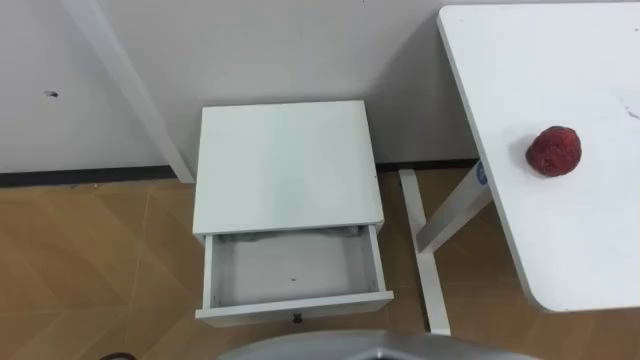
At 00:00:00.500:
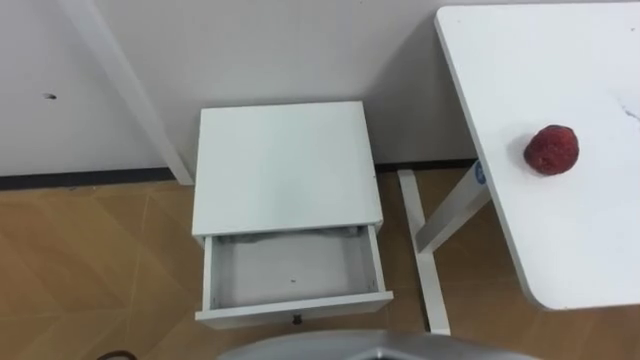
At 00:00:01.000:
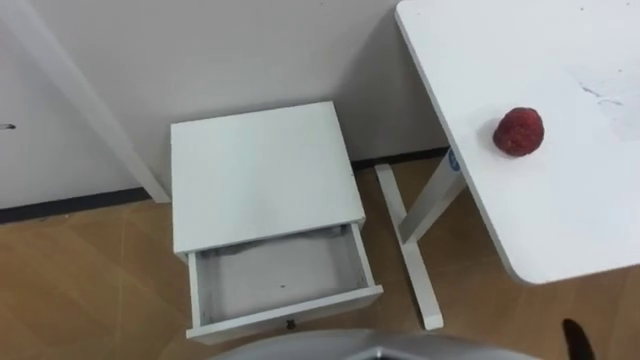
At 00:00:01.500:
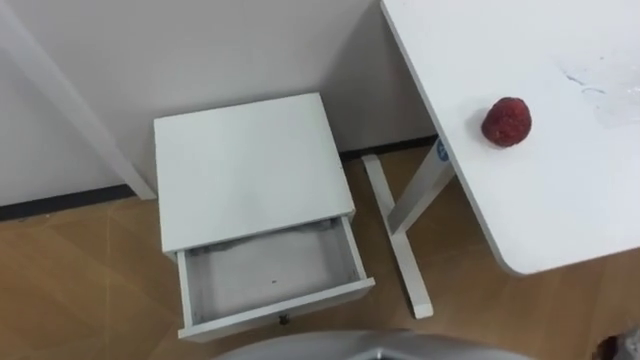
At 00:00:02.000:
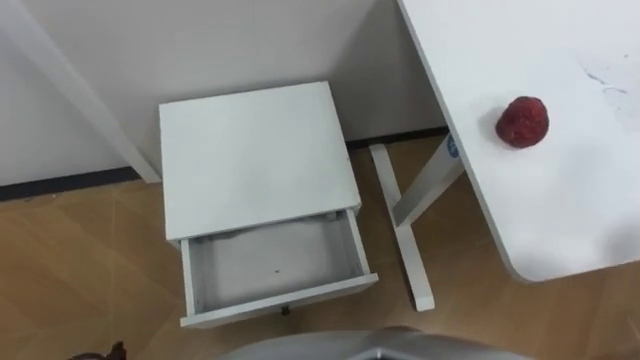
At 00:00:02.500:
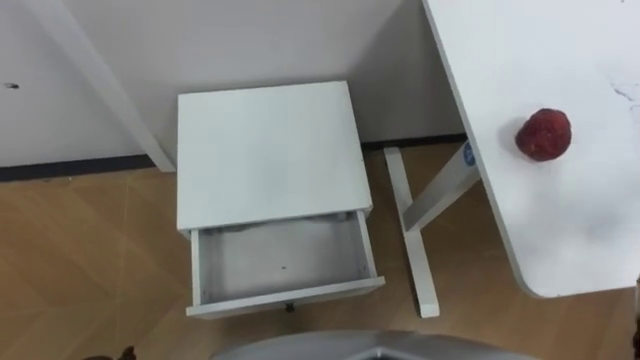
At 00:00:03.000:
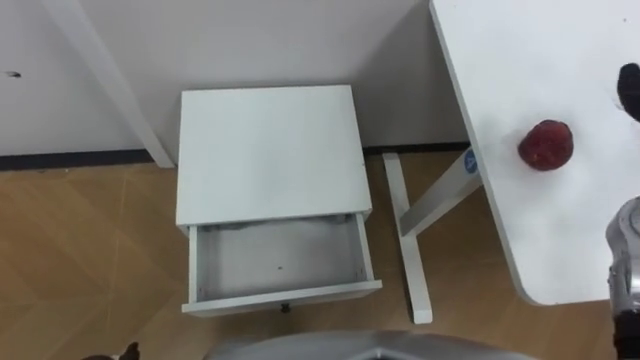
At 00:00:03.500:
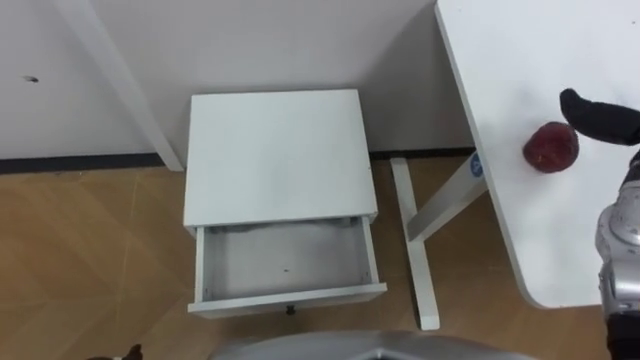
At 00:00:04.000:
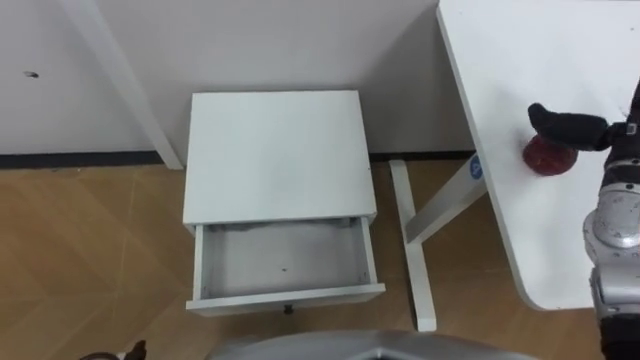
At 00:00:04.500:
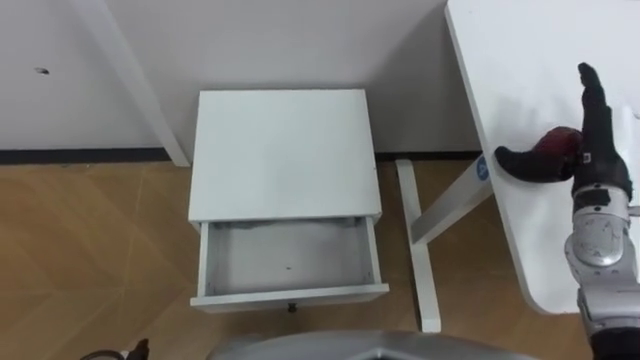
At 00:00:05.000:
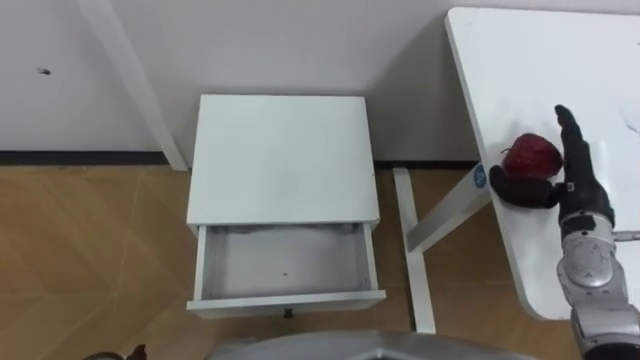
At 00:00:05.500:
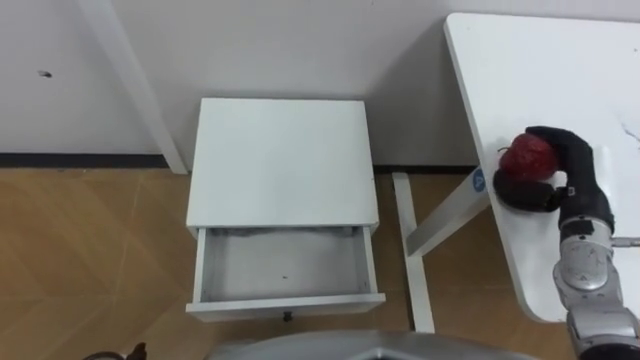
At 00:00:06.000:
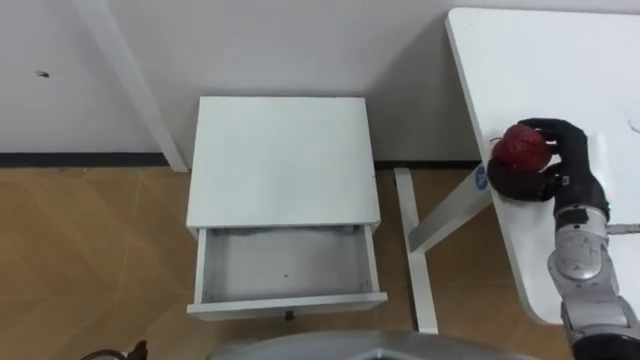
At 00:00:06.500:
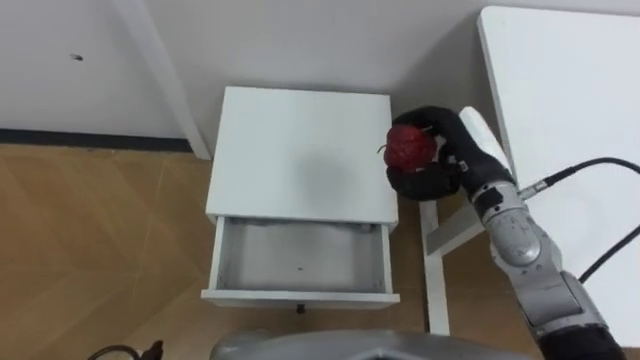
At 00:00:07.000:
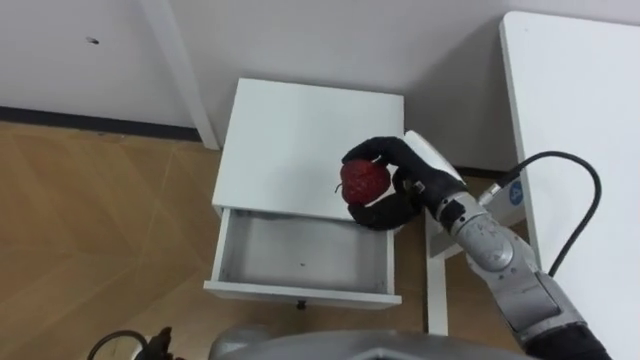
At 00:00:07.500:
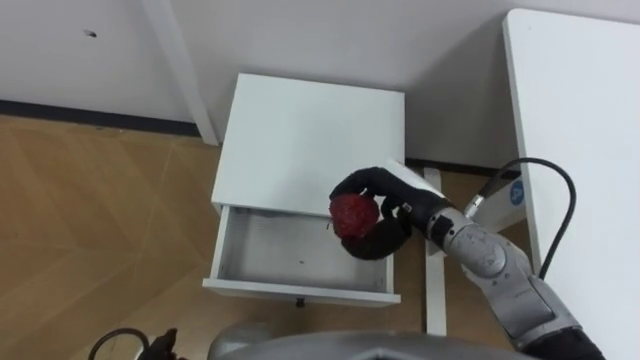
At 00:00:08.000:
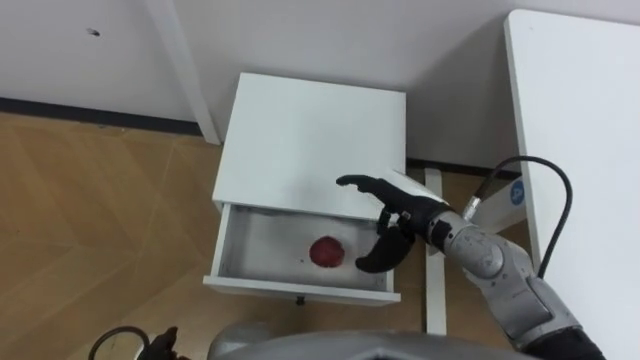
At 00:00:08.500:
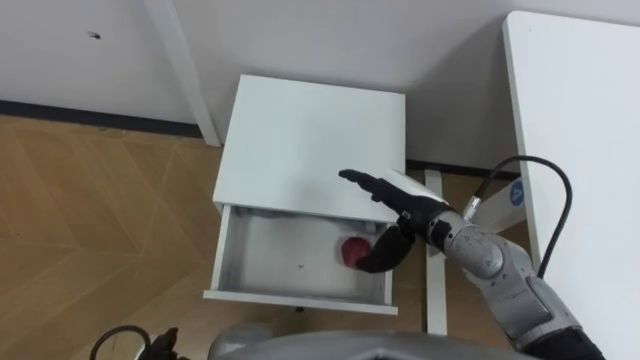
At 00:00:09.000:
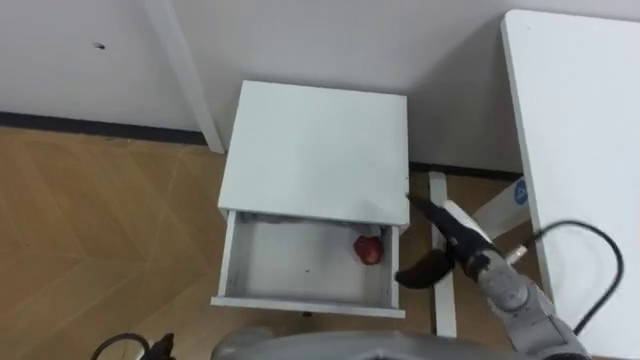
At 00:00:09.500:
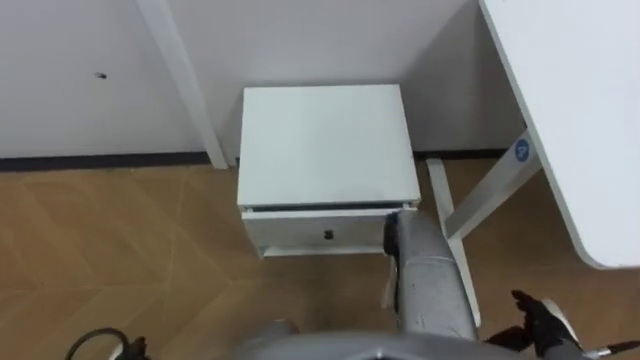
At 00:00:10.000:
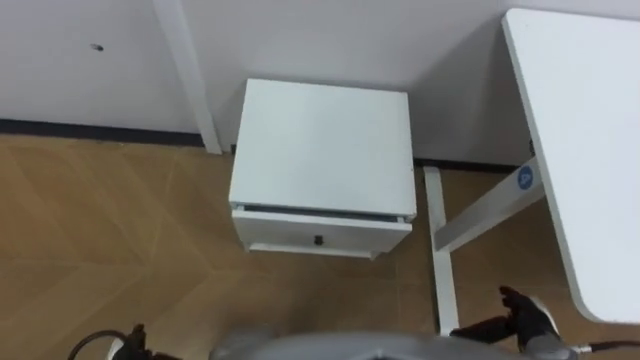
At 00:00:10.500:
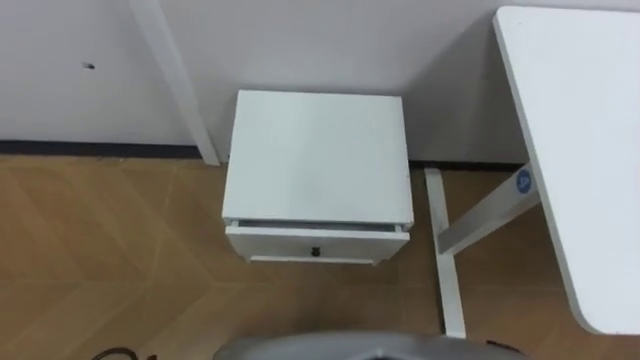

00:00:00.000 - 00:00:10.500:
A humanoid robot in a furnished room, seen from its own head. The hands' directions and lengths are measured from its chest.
Task of the whole recording: Pick up the apple from the table, put it in the drawer, and close the drawer with leg.
00:00:04.000 - 00:00:06.500: The right hand goes approximately 15 cm to the left, and closes.
00:00:06.500 - 00:00:08.500: The right hand shifts about 10 cm to the left and downward, and opens up.

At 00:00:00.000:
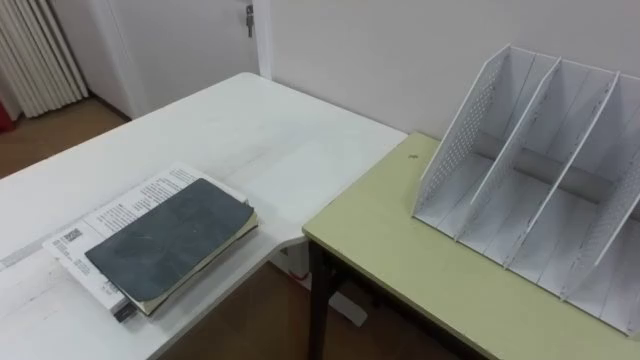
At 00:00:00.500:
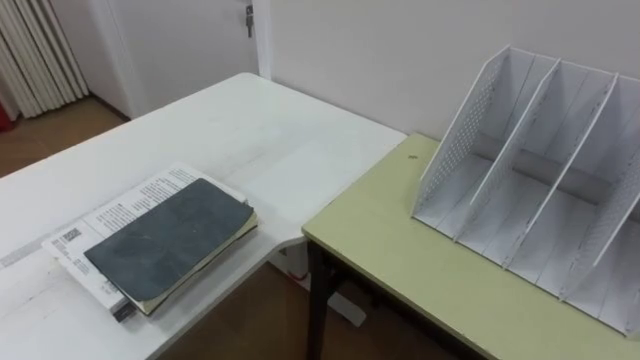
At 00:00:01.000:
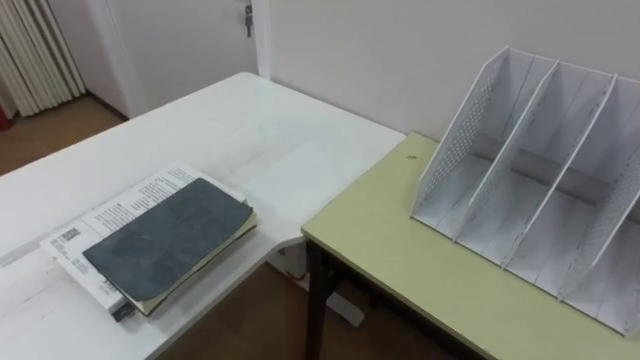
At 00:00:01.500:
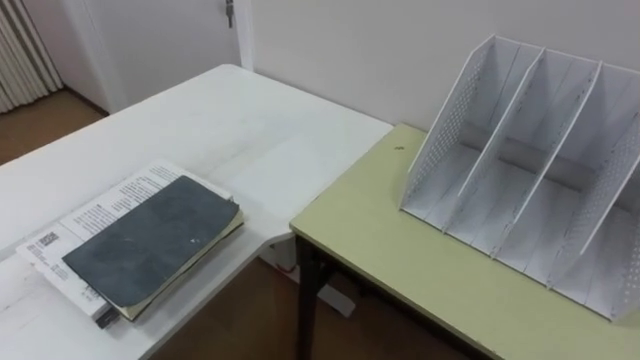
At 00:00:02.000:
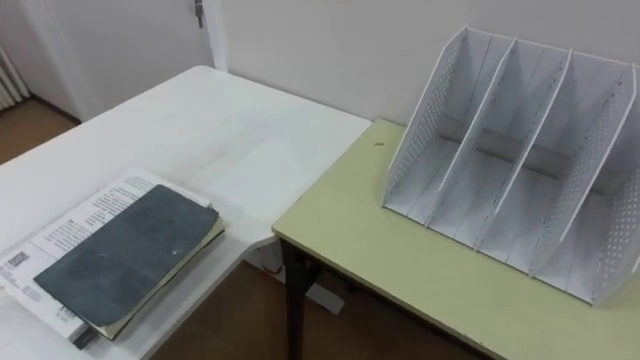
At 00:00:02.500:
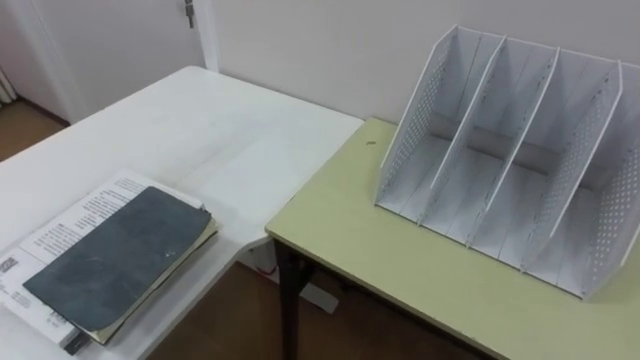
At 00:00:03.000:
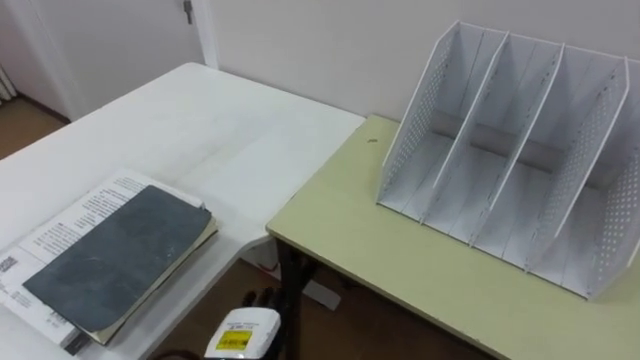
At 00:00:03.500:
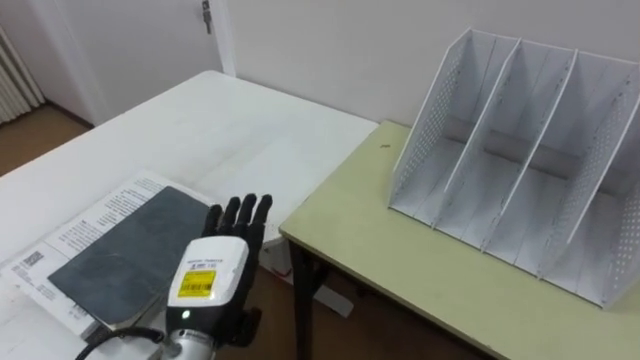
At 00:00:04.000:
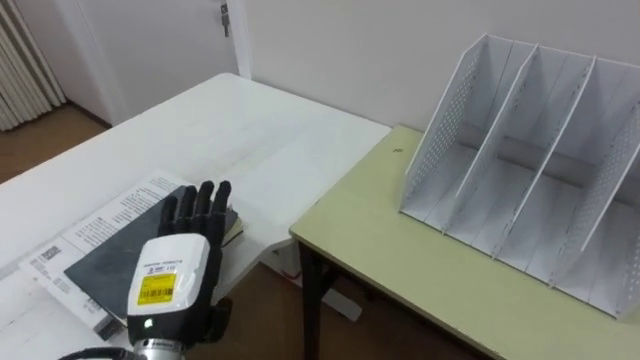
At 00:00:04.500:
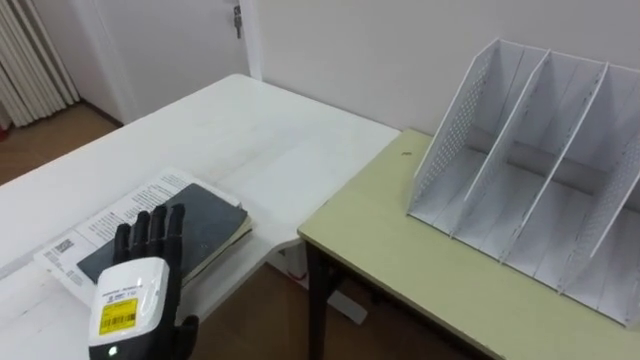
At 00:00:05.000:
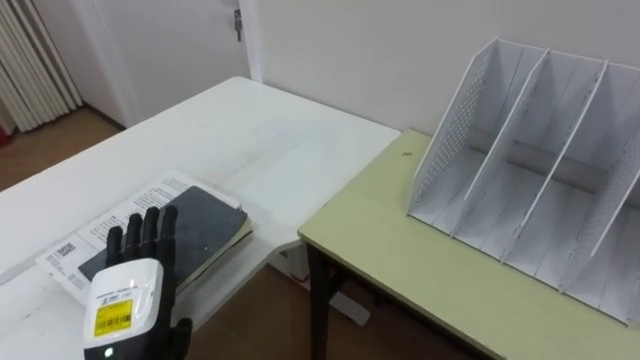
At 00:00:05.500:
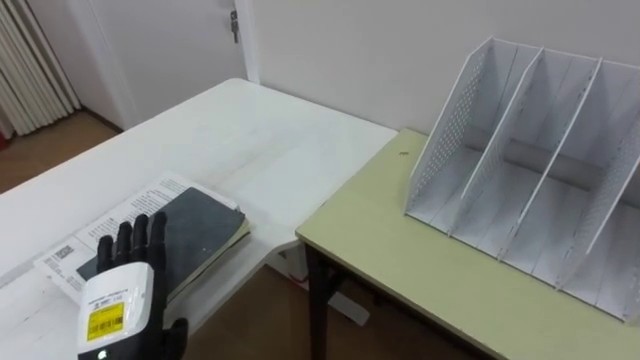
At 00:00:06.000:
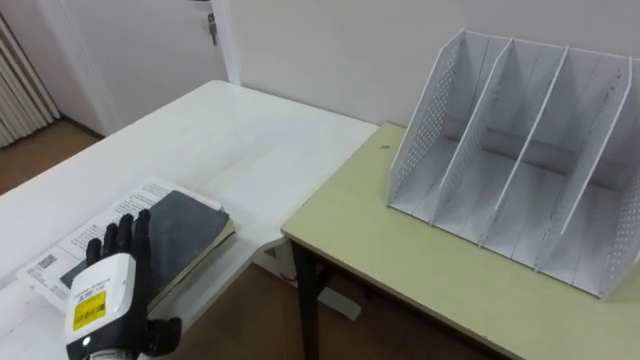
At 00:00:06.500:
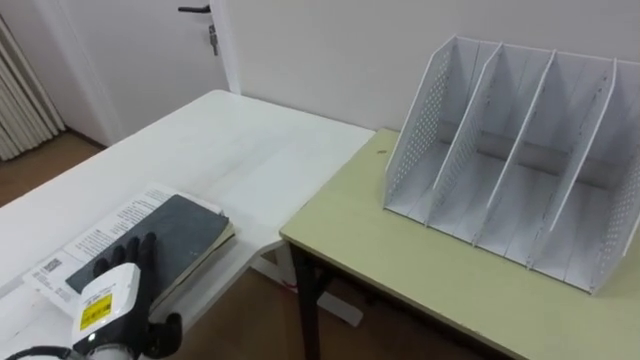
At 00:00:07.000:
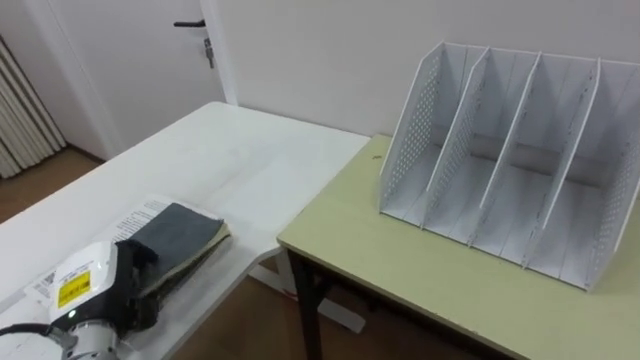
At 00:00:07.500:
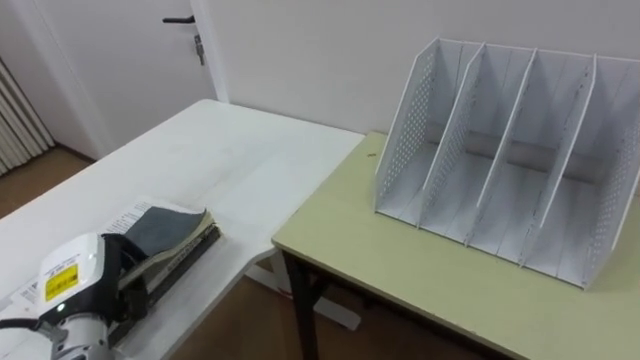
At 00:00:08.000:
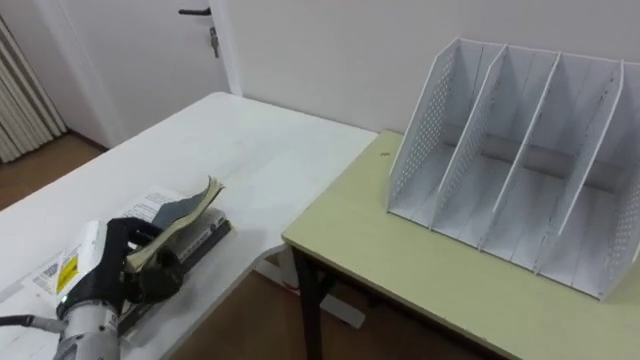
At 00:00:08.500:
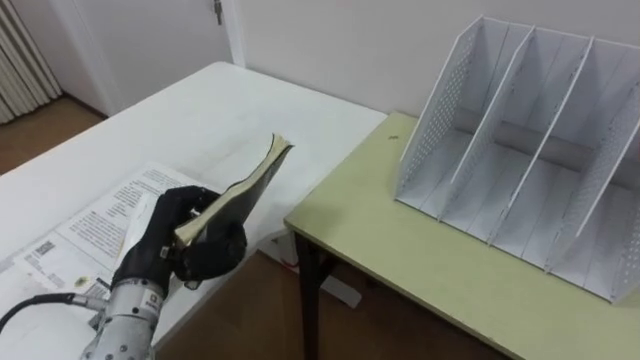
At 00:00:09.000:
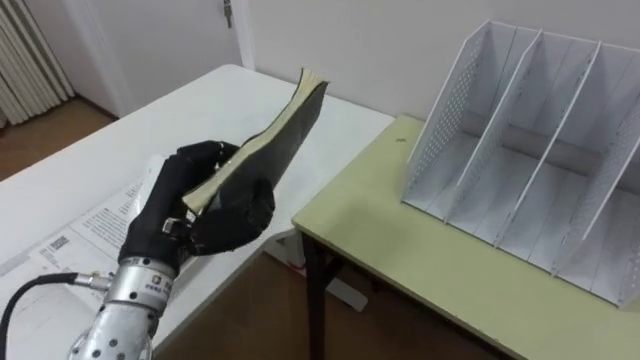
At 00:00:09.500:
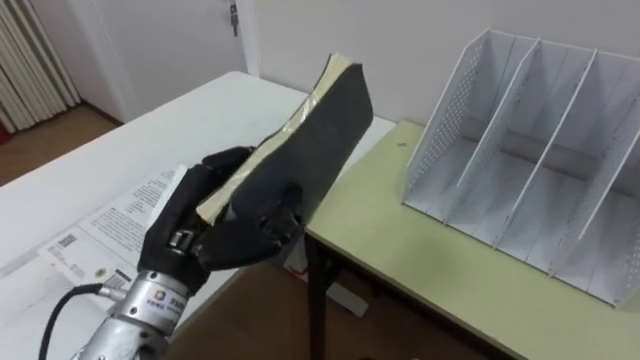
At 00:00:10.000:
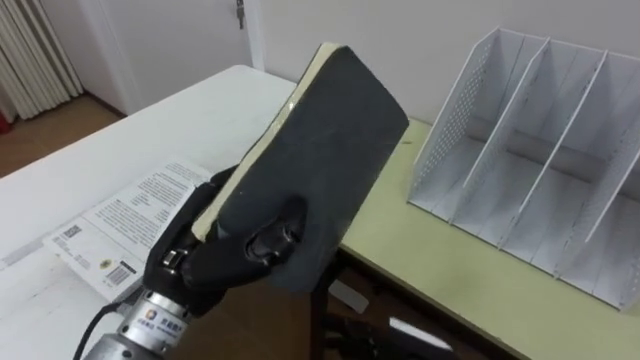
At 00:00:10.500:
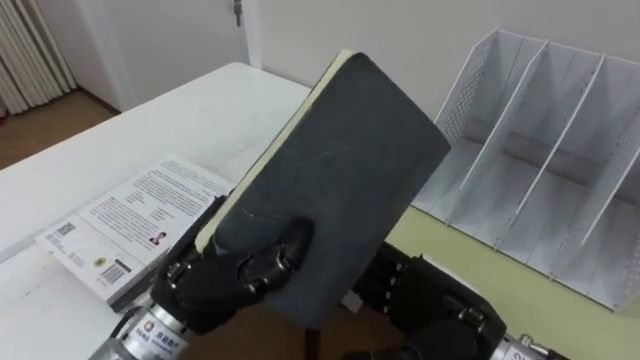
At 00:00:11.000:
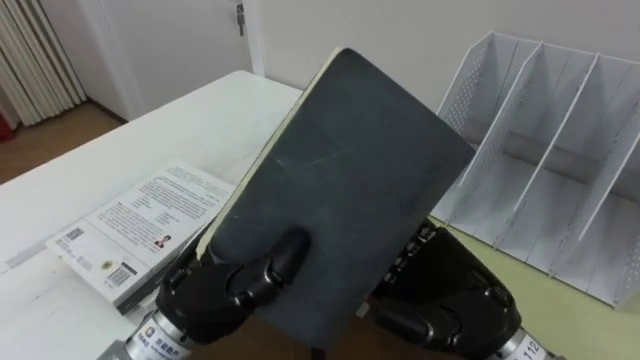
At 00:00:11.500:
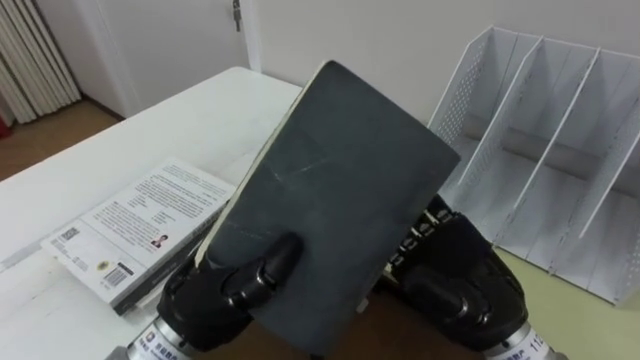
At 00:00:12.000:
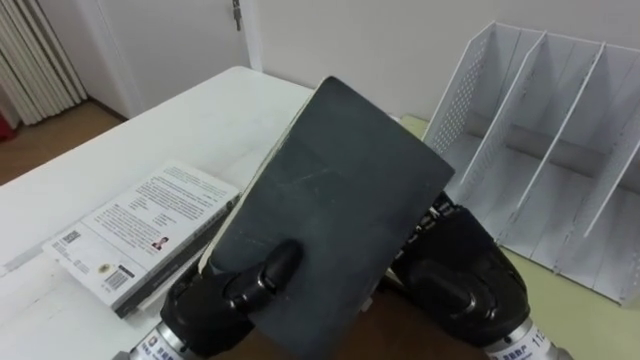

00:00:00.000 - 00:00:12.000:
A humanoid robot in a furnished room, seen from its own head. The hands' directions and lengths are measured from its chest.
Task of the whole recording: Put the books on the table onto the bookshelf.
00:00:04.000 - 00:00:06.000: The left hand moves to the left, some 5 cm.
00:00:06.000 - 00:00:08.000: The left hand closes.
00:00:08.000 - 00:00:10.000: The left hand shifts about 15 cm to the right and upward.
00:00:10.000 - 00:00:12.000: The right hand is displaced upward by approximately 15 cm.
